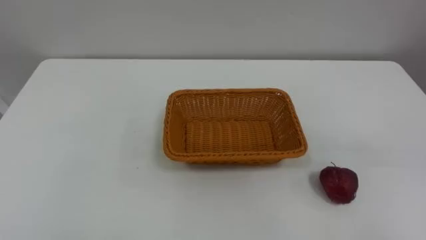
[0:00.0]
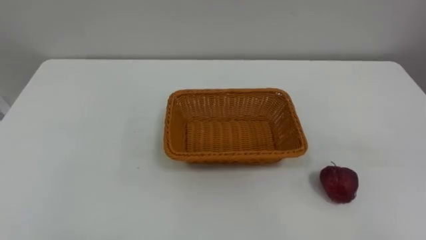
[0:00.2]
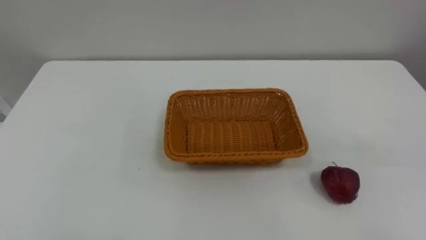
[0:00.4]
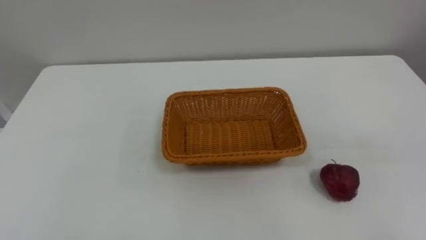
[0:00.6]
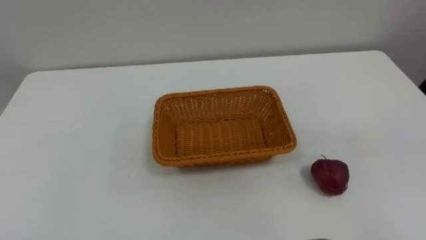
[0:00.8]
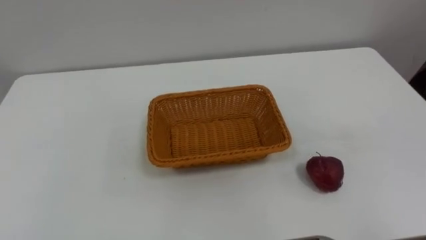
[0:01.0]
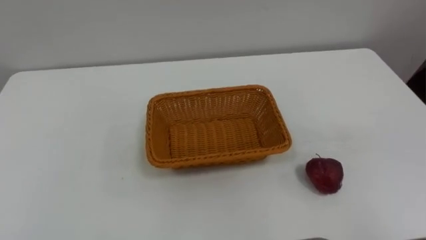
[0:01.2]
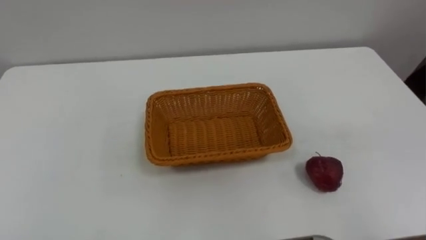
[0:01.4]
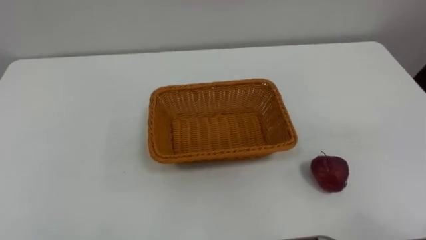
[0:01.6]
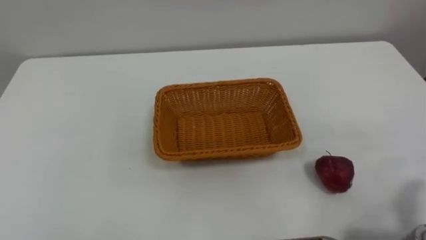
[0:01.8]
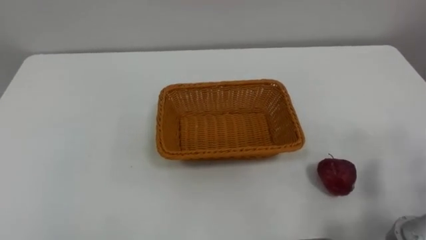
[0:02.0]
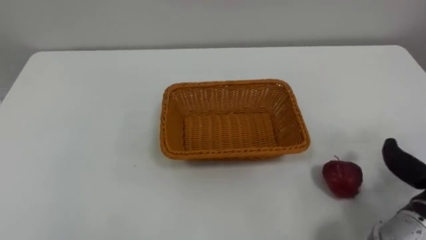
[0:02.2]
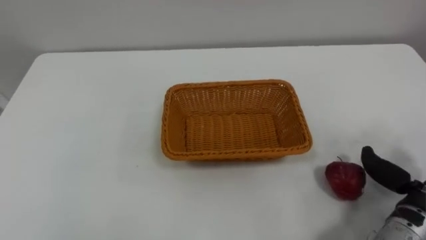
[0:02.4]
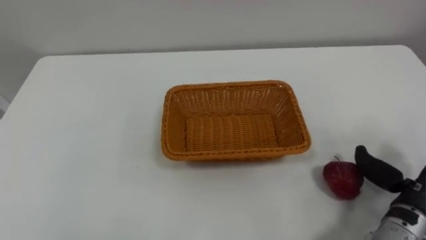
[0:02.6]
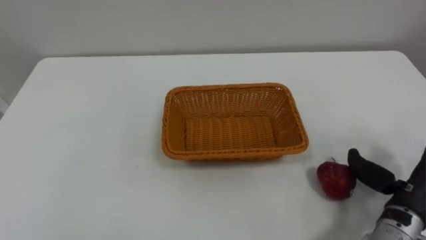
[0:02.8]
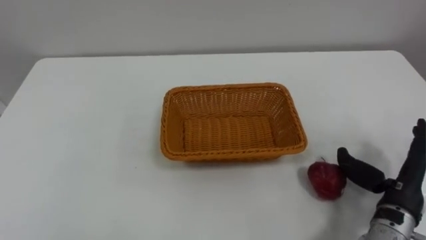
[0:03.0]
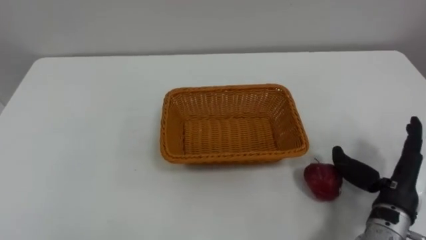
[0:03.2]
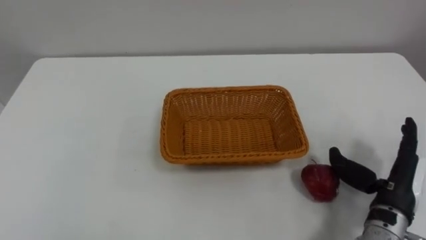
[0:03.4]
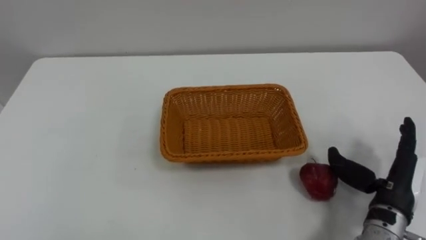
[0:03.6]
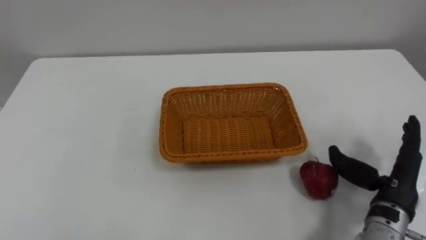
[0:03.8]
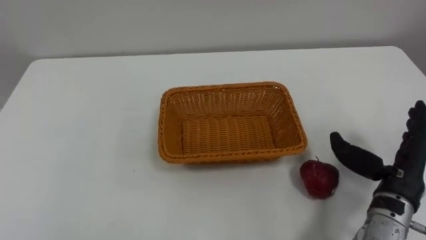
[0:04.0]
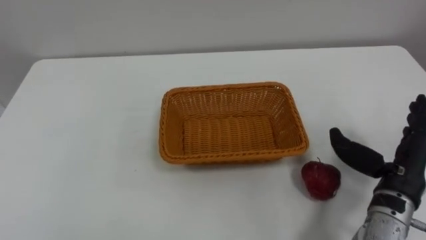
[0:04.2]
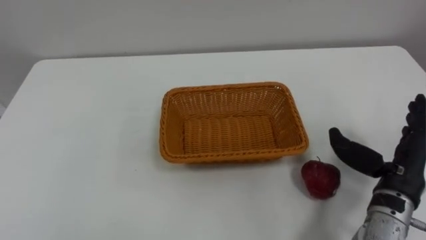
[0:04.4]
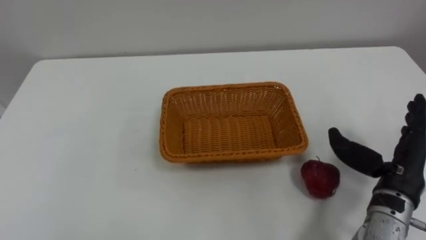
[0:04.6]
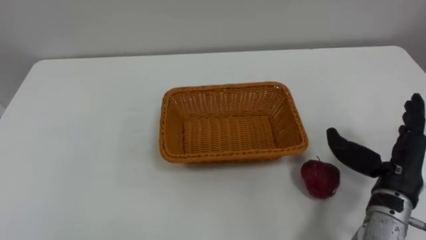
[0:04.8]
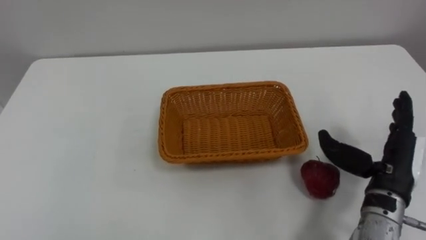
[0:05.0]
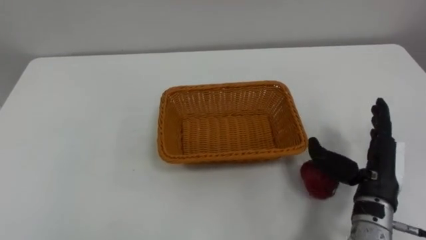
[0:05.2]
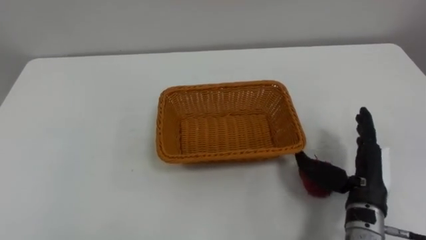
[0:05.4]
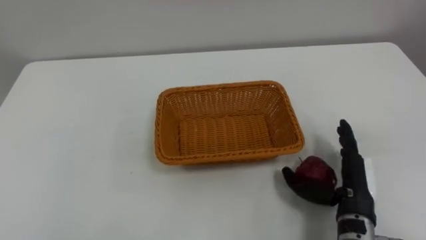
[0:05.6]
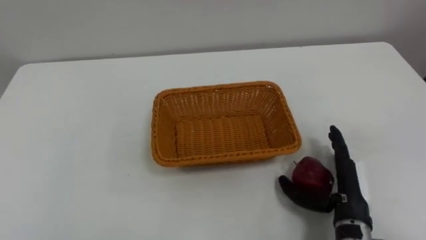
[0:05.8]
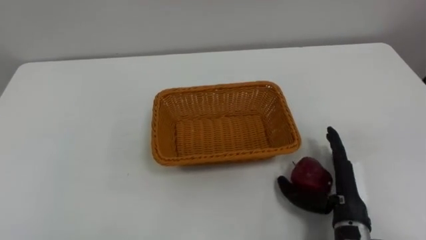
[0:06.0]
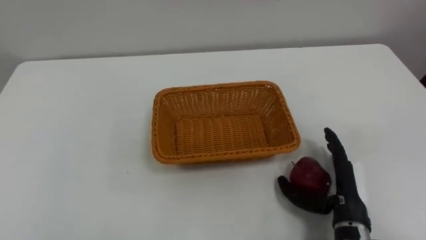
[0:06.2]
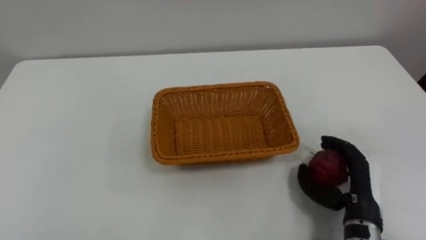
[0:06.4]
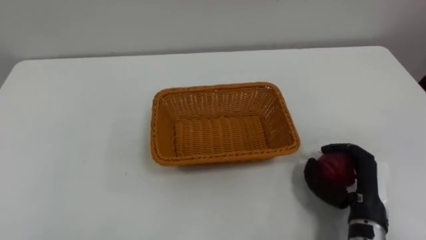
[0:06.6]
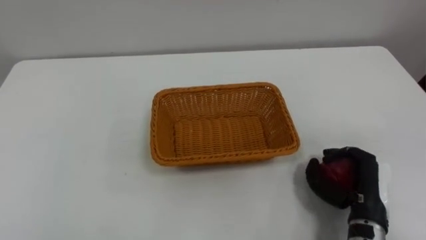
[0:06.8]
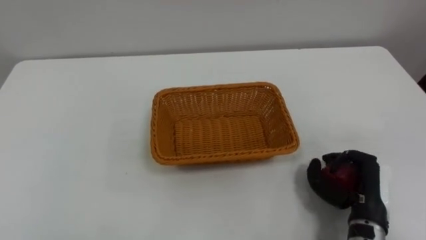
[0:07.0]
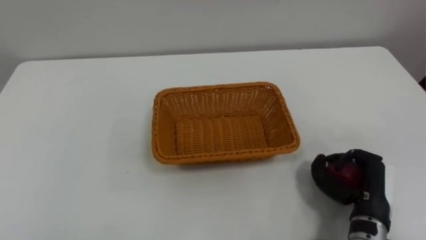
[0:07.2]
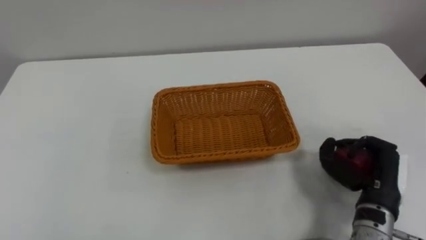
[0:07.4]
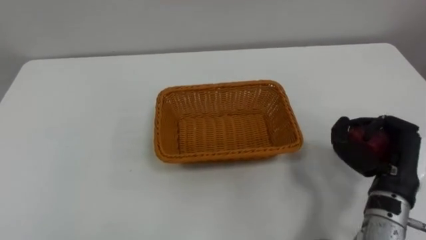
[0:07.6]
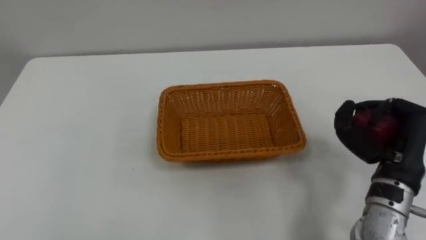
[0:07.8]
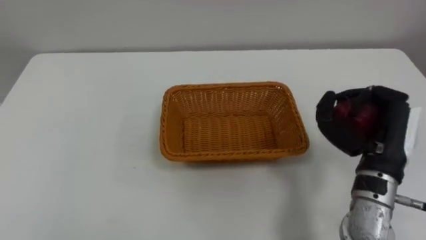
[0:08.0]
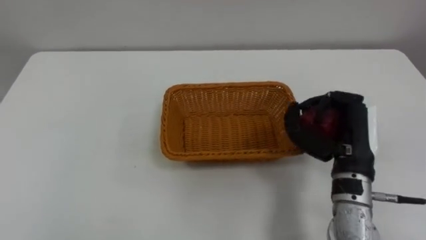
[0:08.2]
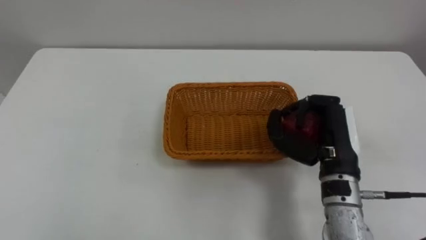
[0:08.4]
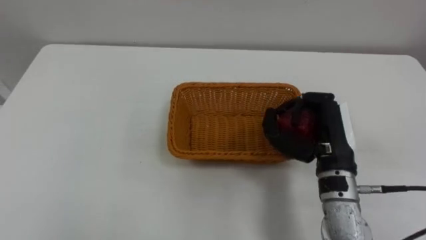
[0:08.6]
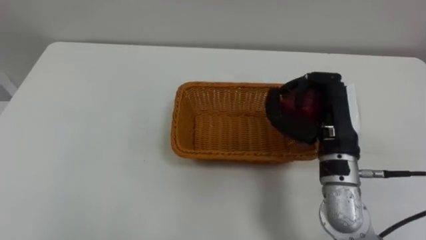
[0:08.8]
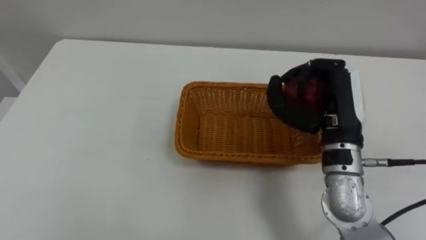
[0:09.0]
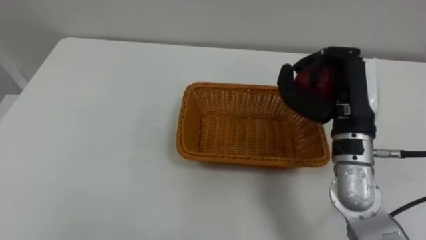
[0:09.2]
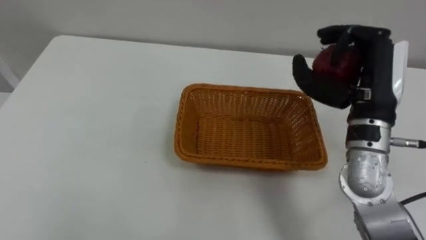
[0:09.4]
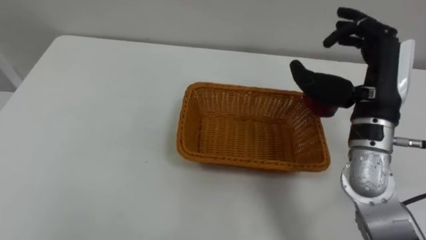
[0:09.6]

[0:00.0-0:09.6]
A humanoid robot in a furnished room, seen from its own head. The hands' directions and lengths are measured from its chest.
Task of the whole recording: Pick the apple and place it in the box.
0:04.8 to 0:06.4: The right hand shifts approximately 5 cm downward.
0:06.4 to 0:08.0: The right hand is displaced upward by some 10 cm, and closes.
0:08.0 to 0:09.6: The right hand goes approximately 10 cm upward and forward, and opens up.

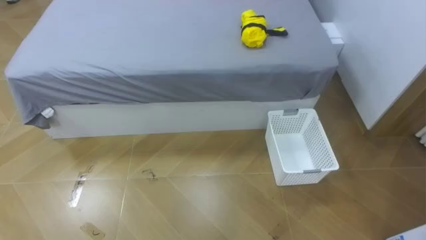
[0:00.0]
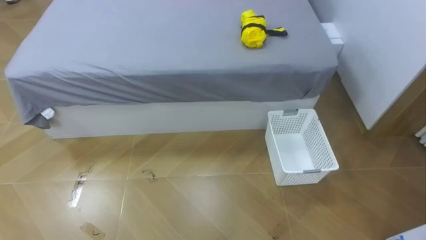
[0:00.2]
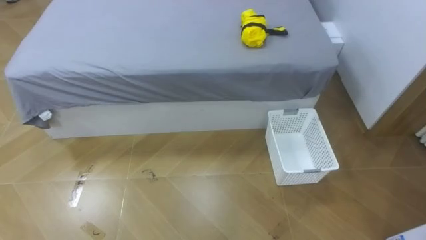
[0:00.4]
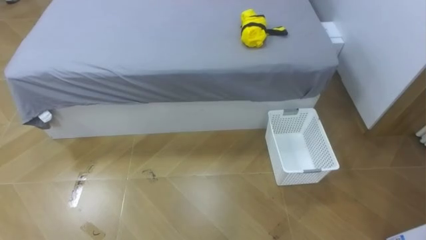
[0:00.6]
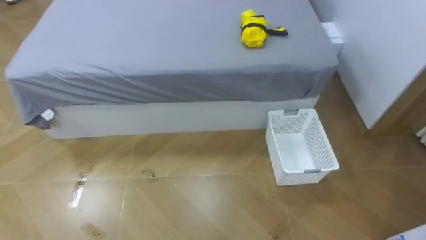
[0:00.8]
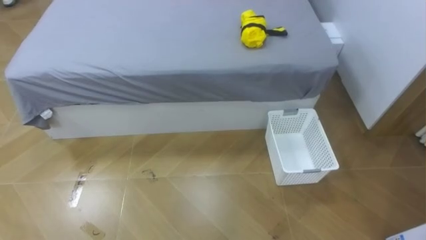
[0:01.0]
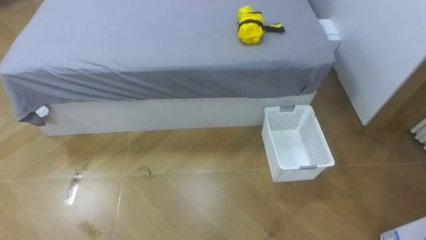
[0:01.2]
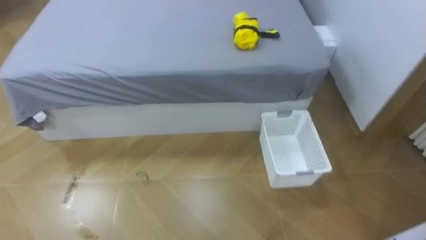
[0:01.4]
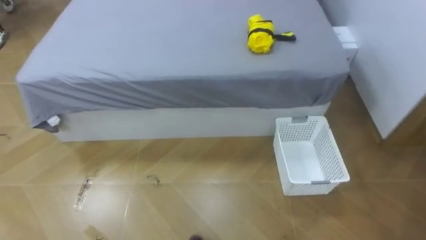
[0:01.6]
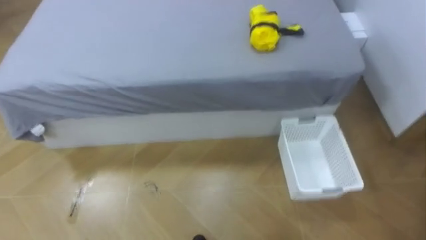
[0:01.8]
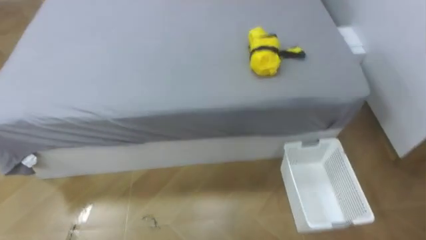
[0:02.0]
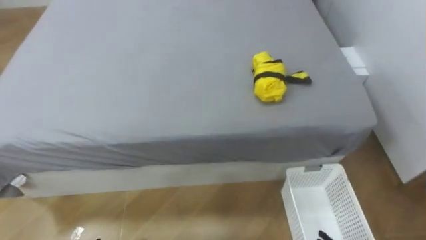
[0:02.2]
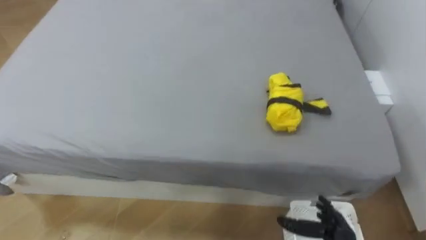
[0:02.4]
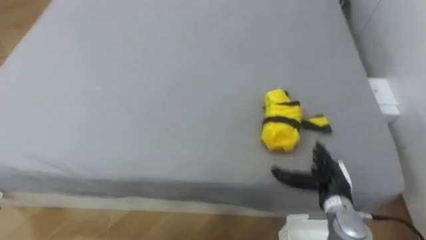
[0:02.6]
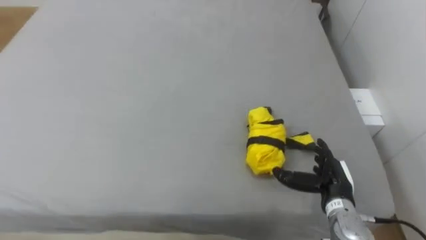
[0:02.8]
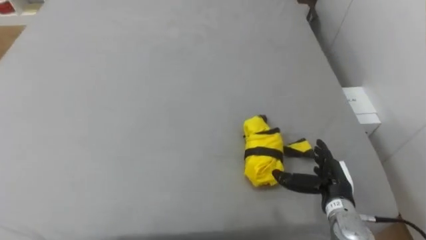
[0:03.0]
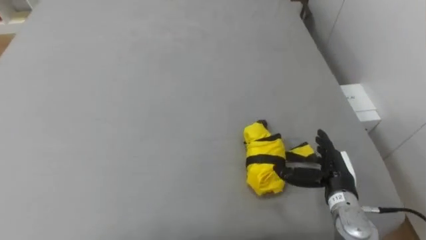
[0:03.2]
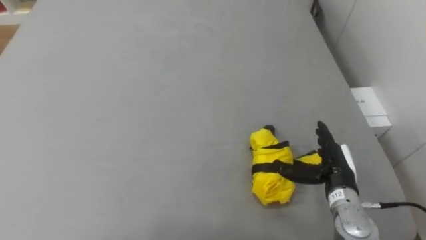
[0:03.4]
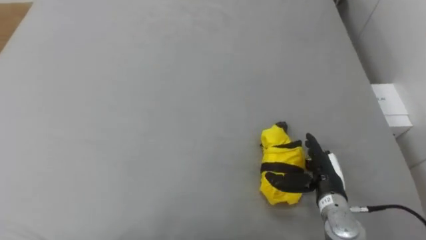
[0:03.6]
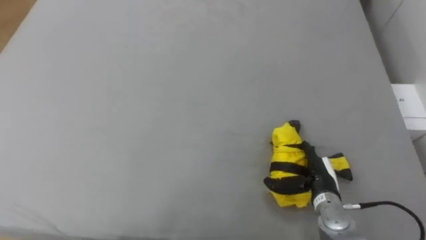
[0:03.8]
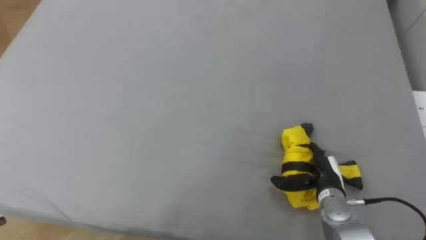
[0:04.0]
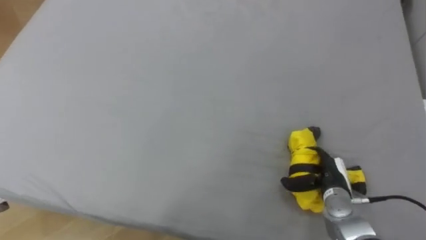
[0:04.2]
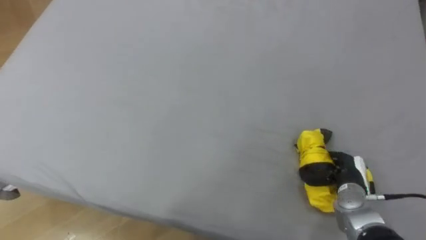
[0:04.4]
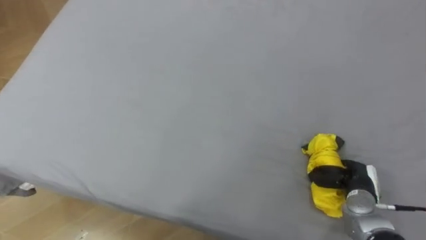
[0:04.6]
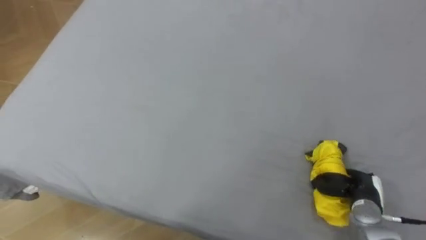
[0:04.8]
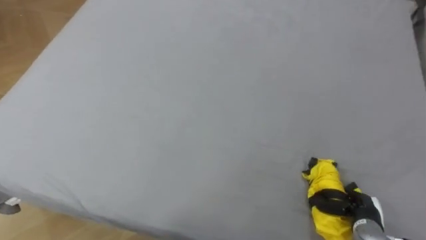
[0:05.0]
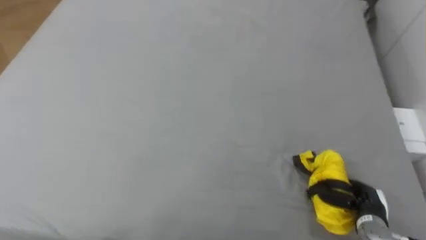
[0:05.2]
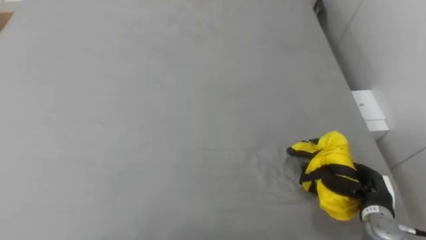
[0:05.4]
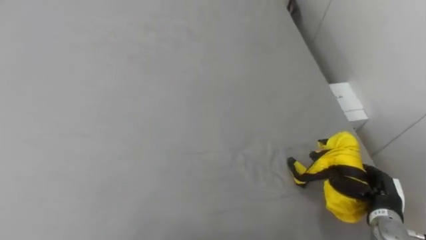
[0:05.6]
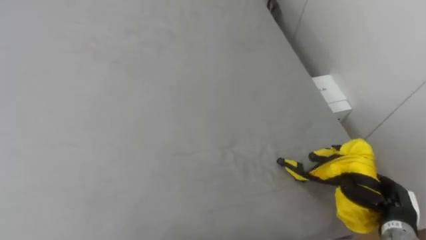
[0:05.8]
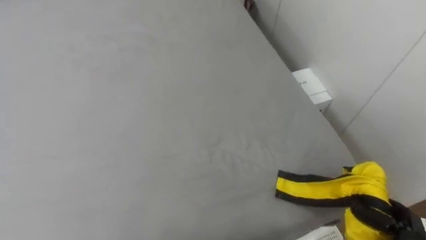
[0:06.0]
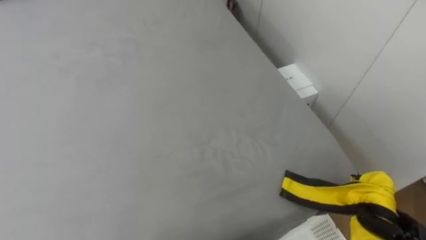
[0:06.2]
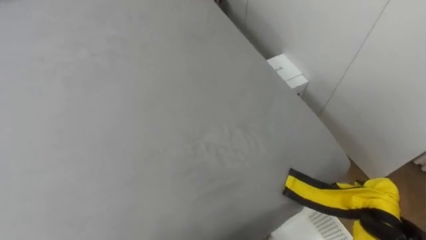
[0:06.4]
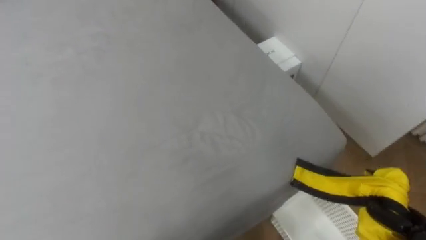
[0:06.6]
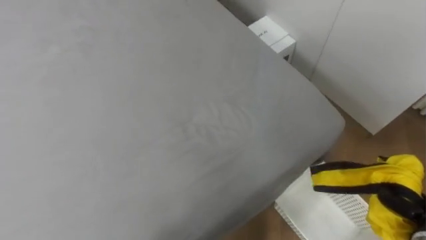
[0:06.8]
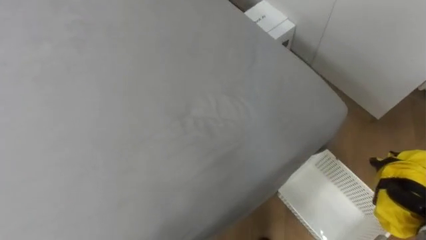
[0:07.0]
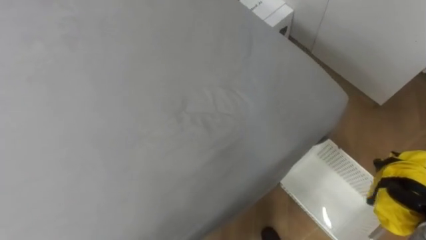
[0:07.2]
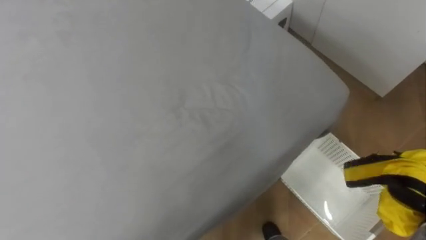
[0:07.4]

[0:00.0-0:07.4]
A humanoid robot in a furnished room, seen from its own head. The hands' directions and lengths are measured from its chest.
Task of the whole recording: Pick up the yellow clothes on the bed and place them into the white basket on the right.
0:03.0 to 0:04.4: The right hand ends up approximately 5 cm from where it was, and closes up.
0:04.4 to 0:06.0: The right hand moves backward and to the right, some 15 cm.
